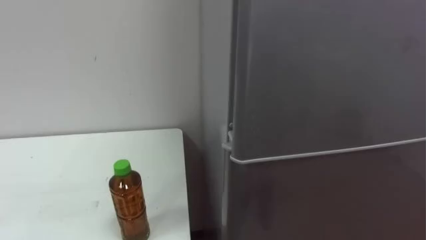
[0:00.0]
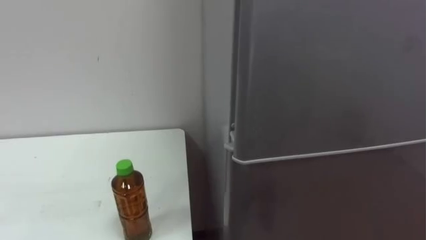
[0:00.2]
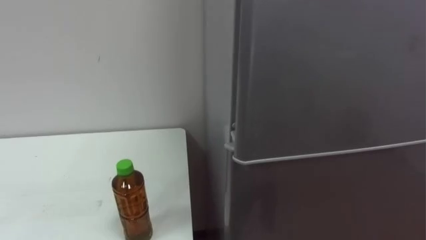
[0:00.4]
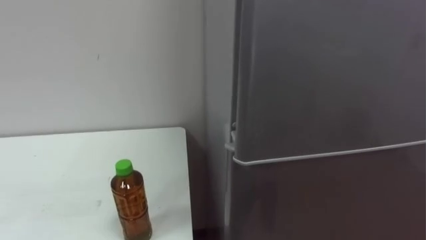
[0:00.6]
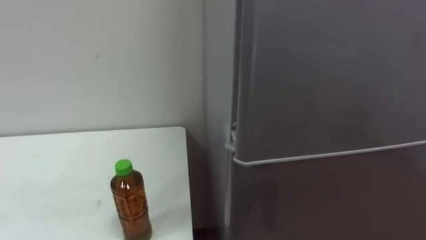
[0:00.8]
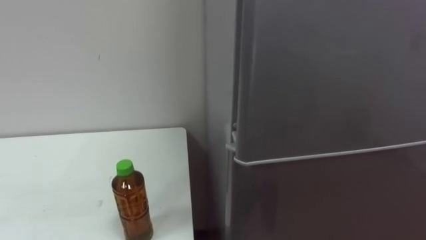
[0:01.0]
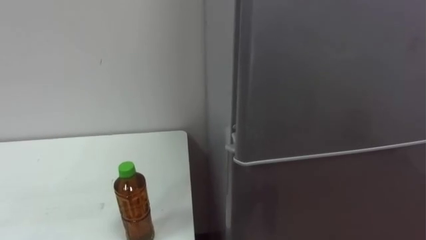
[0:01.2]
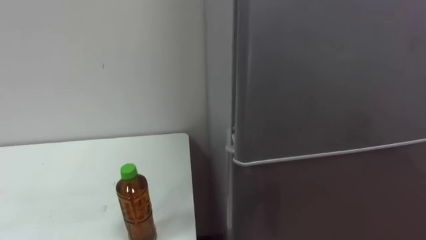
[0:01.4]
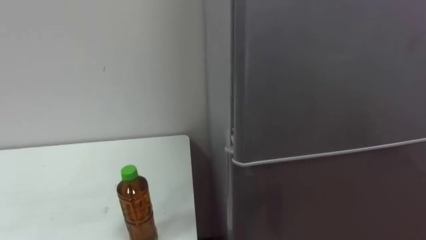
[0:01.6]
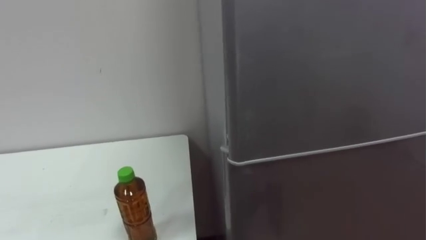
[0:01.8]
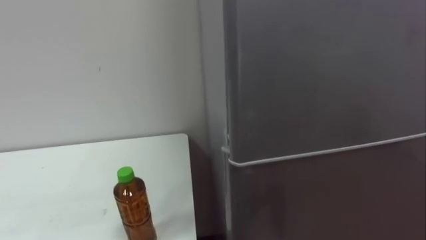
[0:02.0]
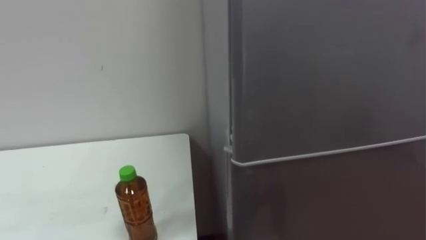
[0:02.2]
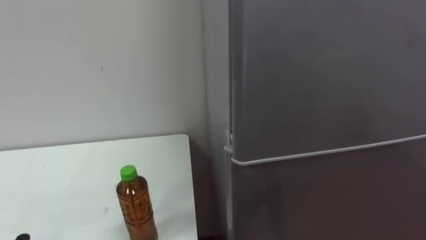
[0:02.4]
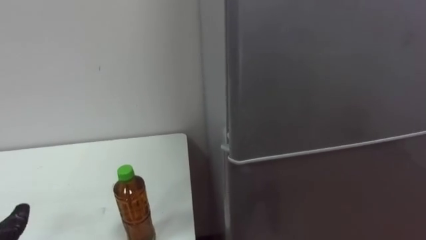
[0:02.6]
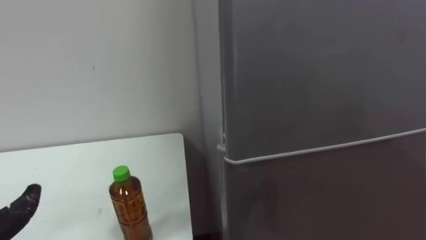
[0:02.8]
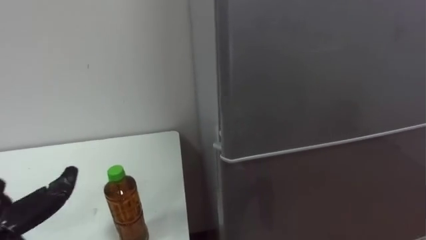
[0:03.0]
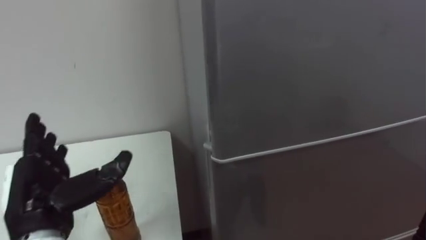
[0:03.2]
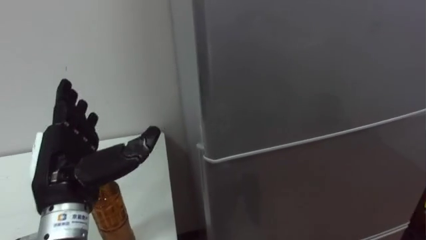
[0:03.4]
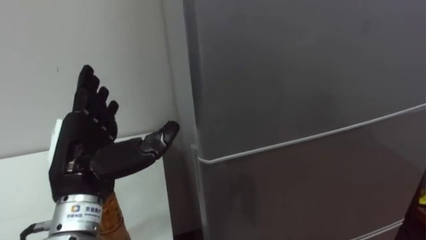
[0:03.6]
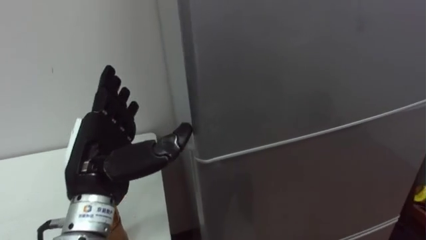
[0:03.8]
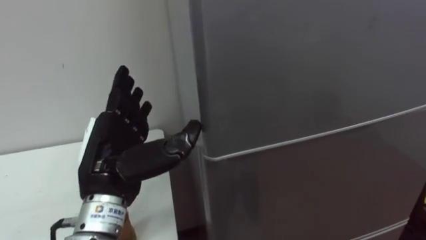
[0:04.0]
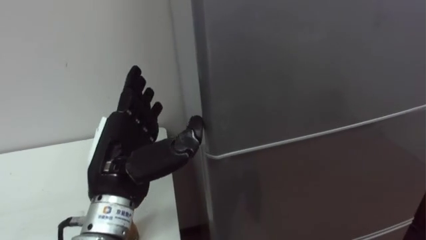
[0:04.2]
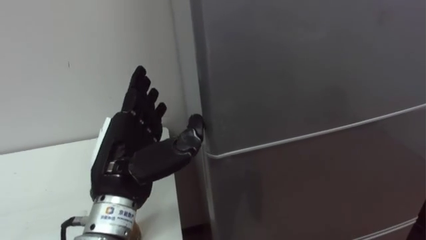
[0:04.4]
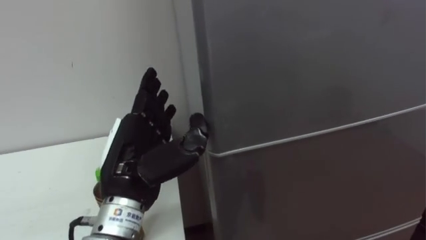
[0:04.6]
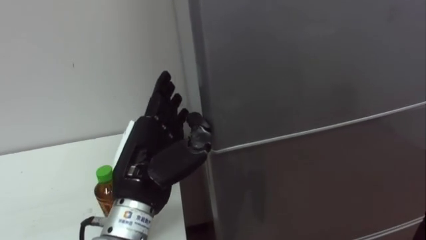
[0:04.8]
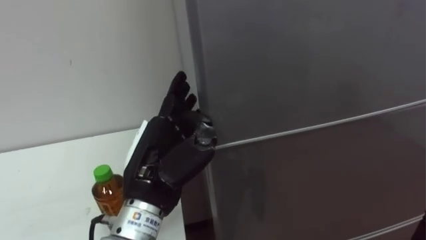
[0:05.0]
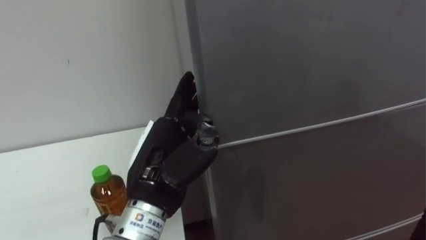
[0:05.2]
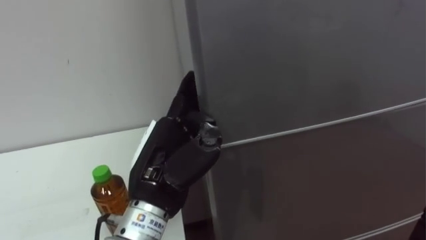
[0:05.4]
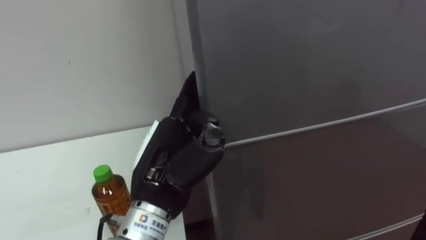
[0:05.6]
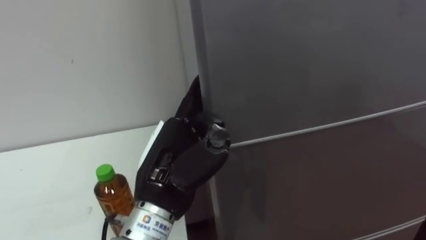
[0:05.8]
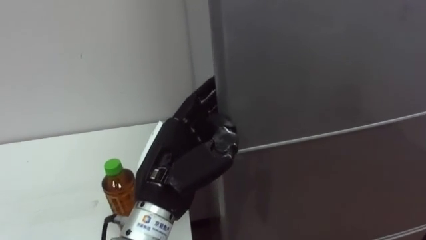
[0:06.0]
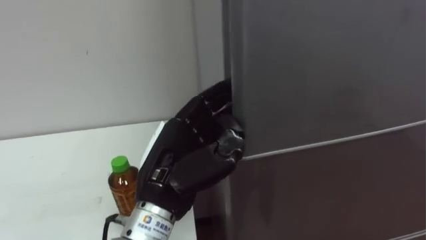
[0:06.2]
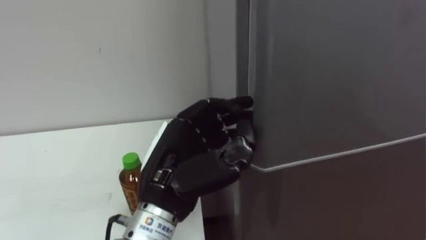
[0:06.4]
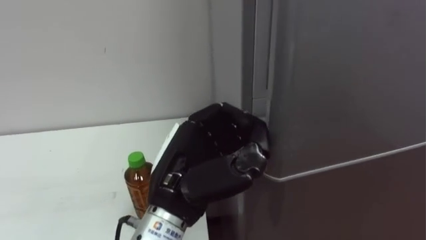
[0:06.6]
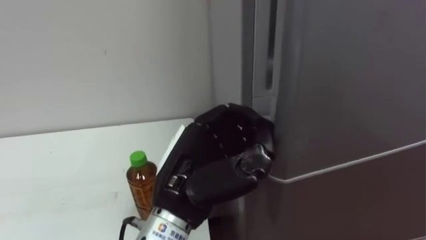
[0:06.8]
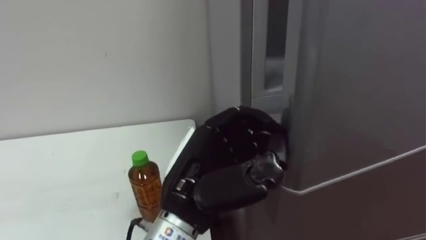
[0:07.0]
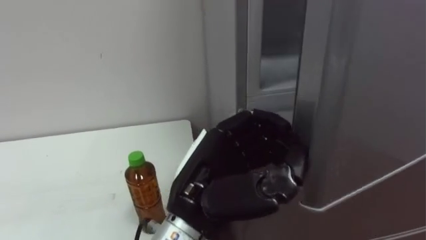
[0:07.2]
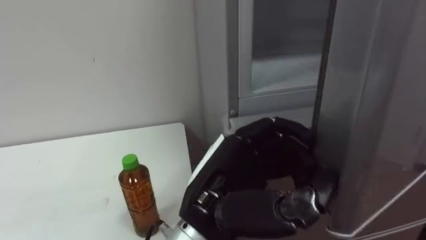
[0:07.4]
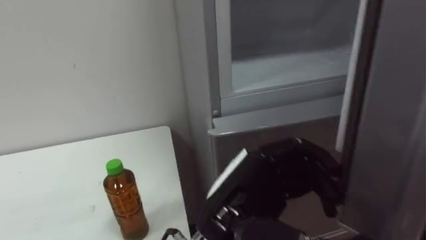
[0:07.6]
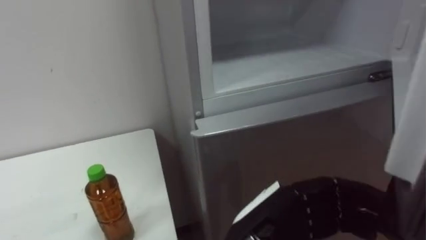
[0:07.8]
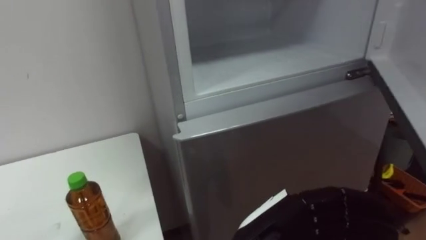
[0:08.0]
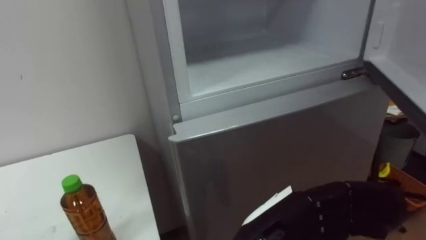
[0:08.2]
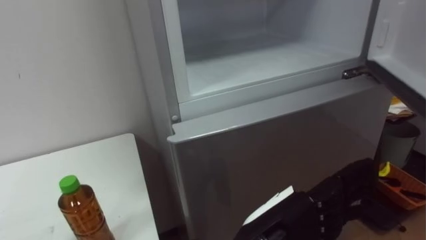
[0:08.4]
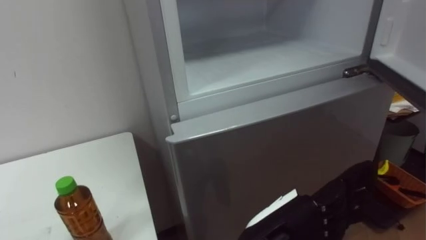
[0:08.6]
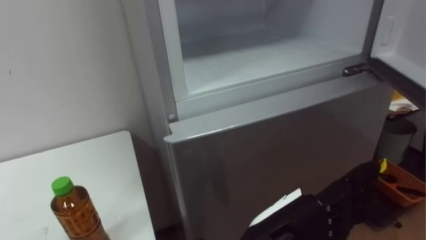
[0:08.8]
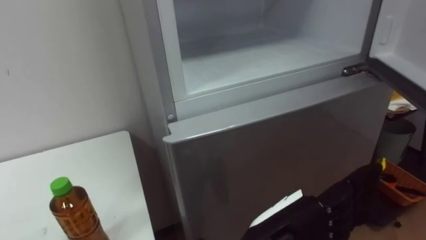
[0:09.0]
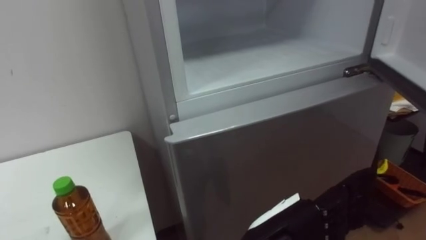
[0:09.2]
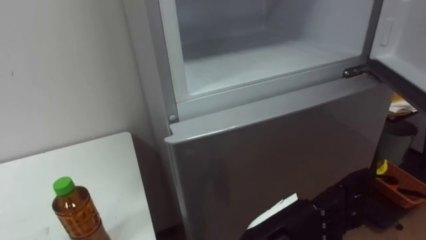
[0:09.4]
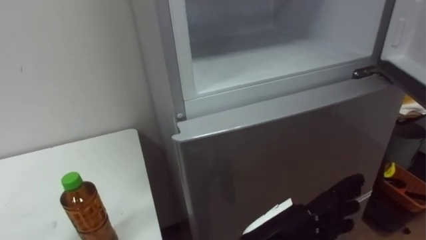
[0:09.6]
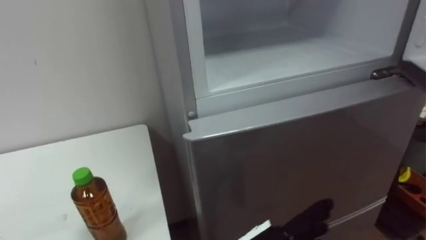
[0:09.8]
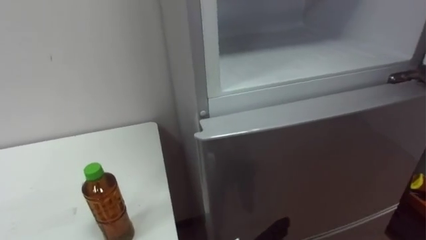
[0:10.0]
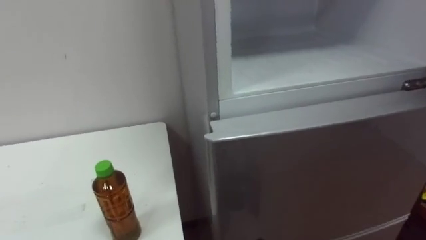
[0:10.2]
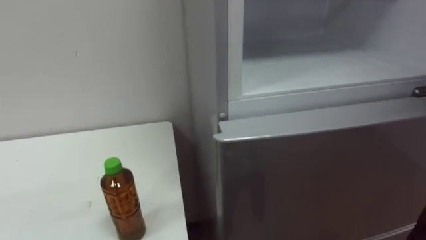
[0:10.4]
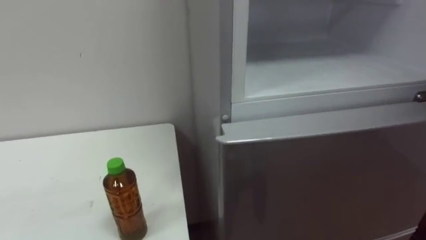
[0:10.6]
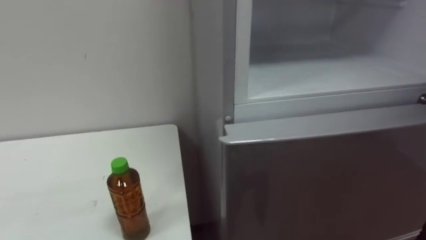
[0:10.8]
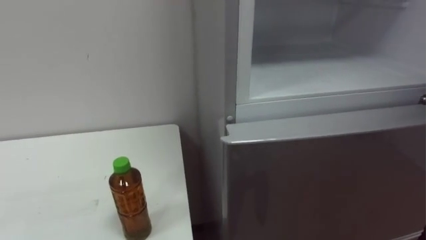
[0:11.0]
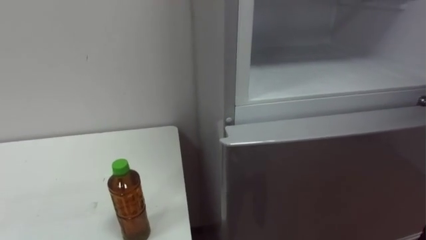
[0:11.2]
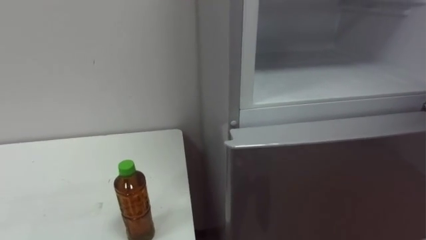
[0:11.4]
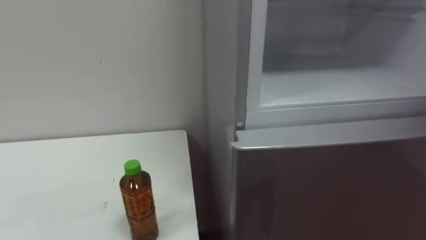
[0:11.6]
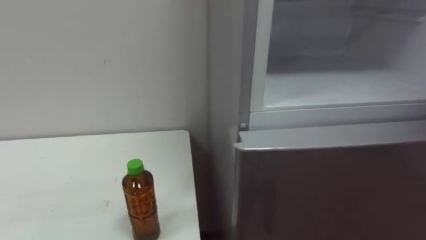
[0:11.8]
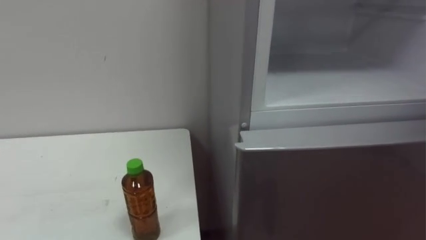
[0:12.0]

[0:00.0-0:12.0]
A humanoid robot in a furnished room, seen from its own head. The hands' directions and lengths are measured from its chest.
Task of the whole recording: Open the upper refrigerator door, put the drink from the table into the refrigerator, and then close the refrigerator door.
0:04.4 to 0:06.0: The left hand goes about 5 cm to the right.
0:06.0 to 0:07.6: The left hand goes some 10 cm to the right.
0:07.6 to 0:09.0: The left hand shifts roughly 5 cm to the right, and opens up.

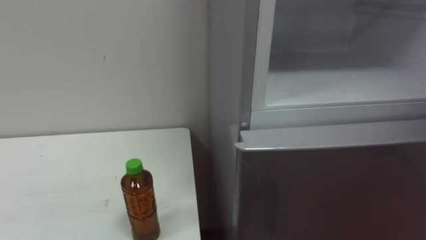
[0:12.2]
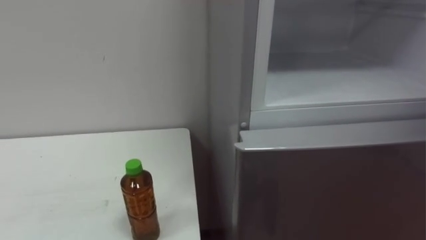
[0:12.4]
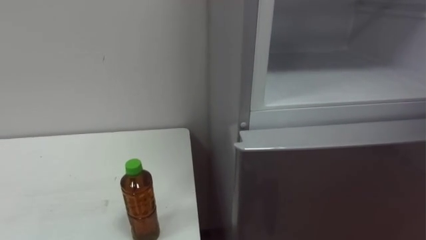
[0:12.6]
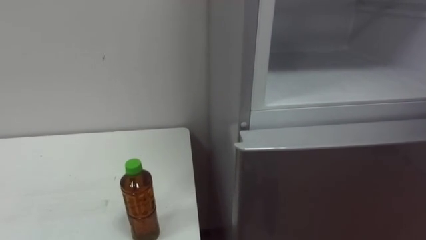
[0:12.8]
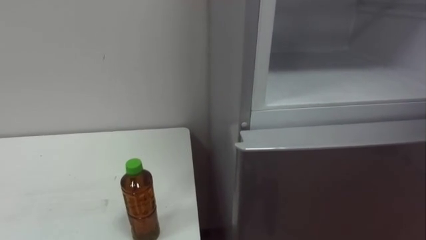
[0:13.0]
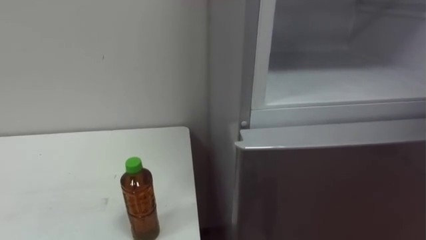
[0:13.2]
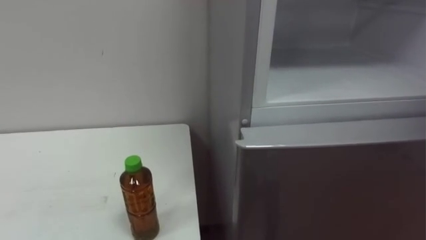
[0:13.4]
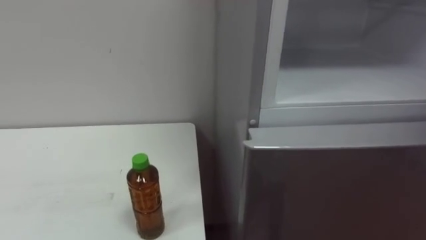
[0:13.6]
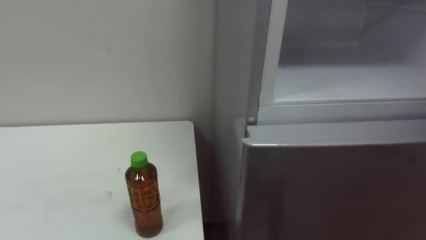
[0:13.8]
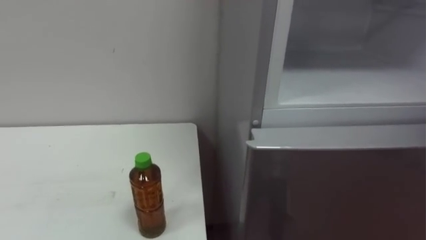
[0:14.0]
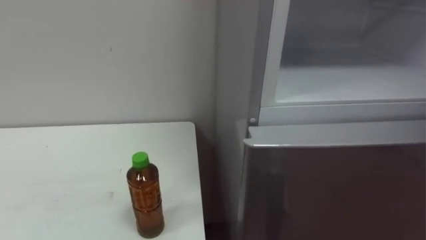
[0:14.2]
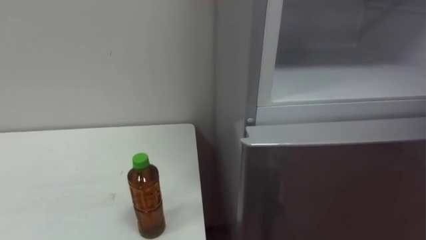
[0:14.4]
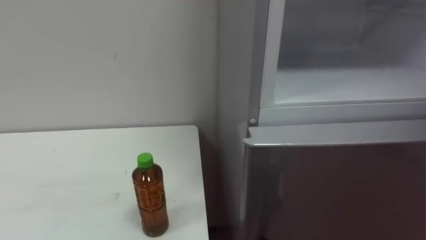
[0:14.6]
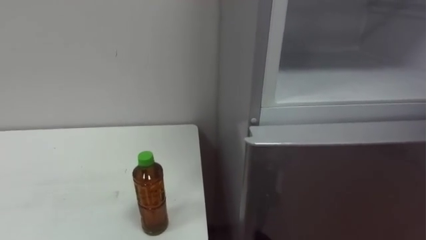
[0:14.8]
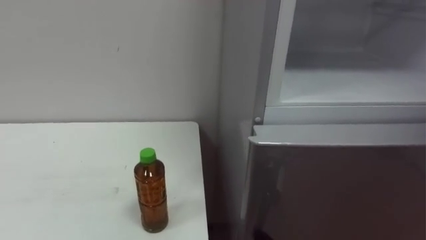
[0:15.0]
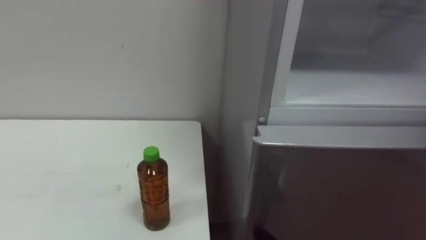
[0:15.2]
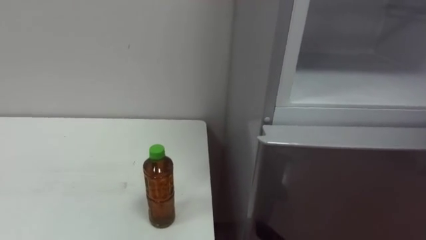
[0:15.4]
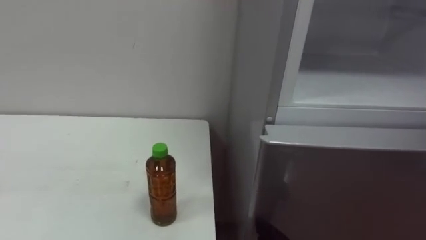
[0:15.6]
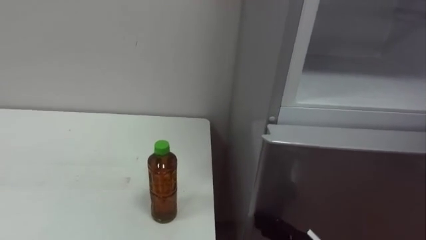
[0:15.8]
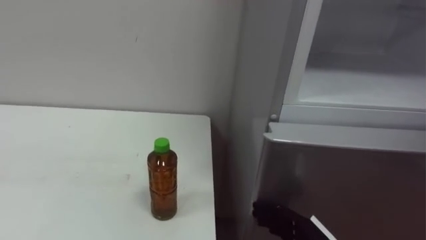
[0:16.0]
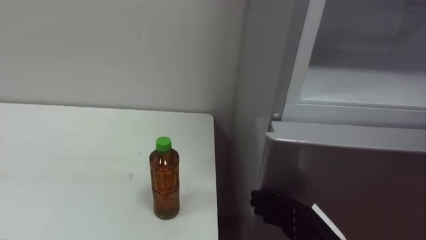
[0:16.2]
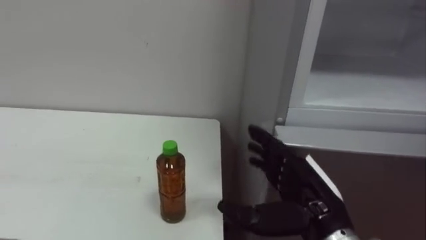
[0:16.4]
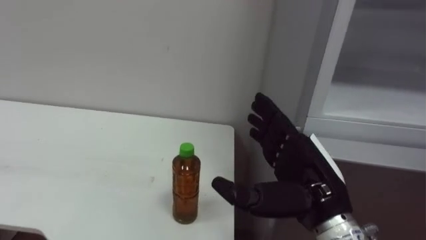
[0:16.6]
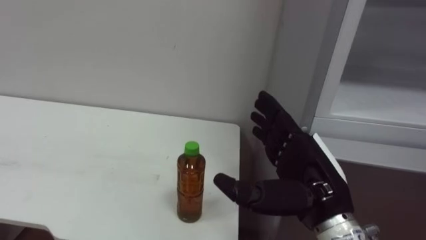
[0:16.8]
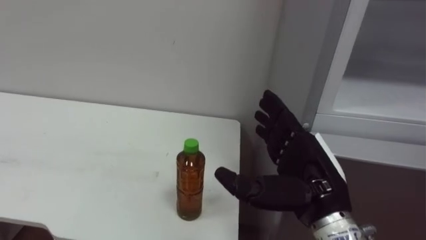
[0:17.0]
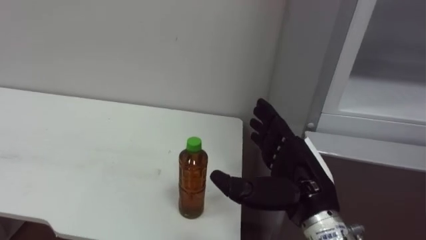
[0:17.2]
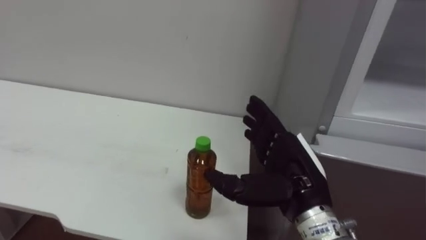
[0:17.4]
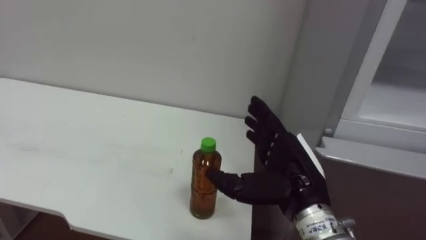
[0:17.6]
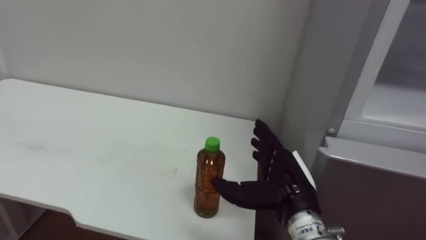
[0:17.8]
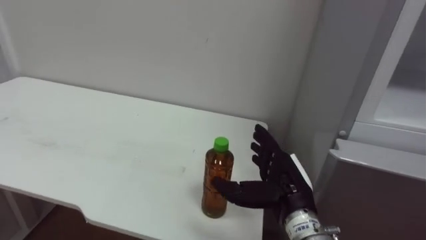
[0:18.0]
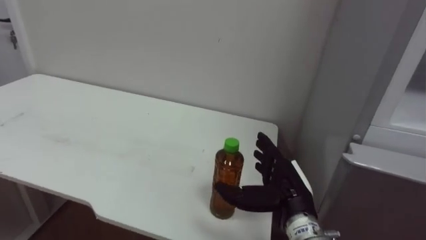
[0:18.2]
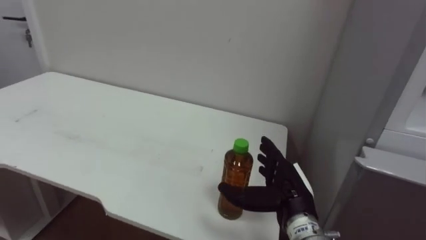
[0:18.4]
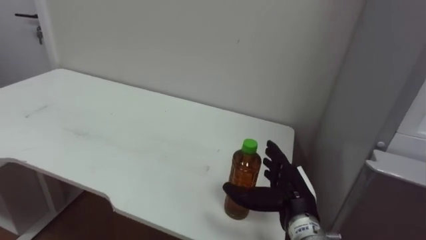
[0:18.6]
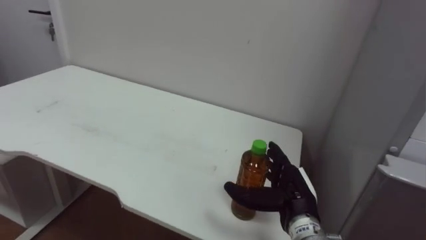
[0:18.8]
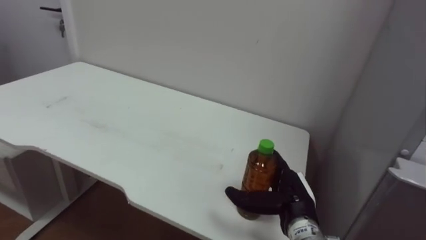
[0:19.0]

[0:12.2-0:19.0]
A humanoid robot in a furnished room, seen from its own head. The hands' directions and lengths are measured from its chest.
Task of the whole recording: Open the upper refrigerator door, put the drink from the table into the refrigerator, and then close the refrigerator door.
0:16.2 to 0:17.6: The right hand travels upward by about 10 cm.
0:17.6 to 0:19.0: The right hand is displaced downward by roughly 10 cm.
